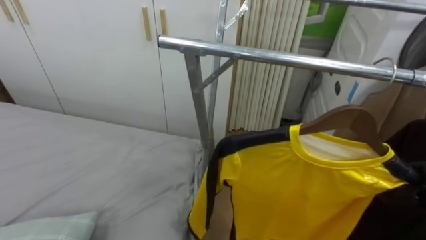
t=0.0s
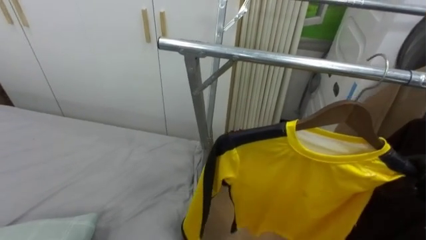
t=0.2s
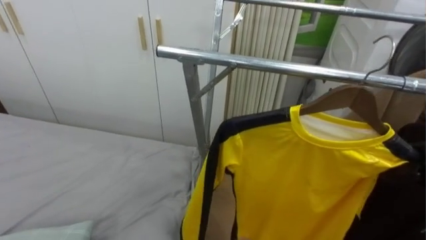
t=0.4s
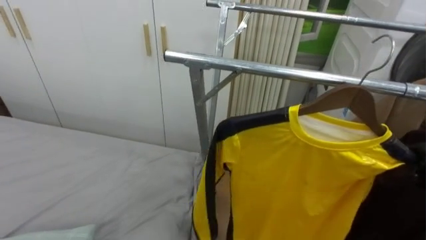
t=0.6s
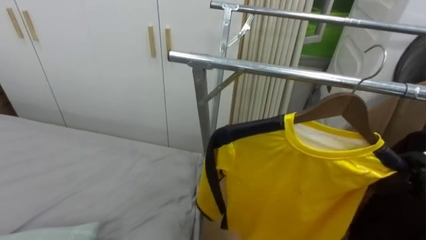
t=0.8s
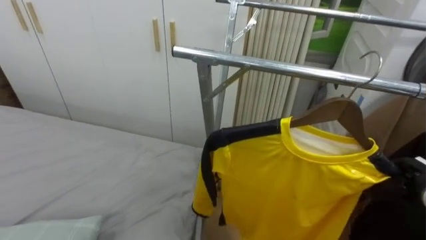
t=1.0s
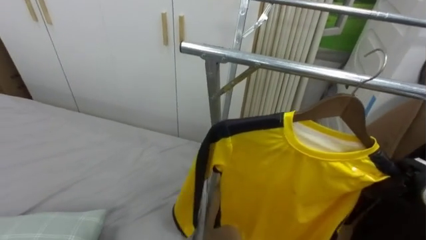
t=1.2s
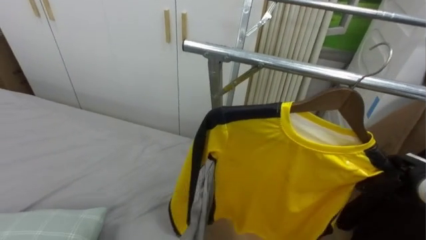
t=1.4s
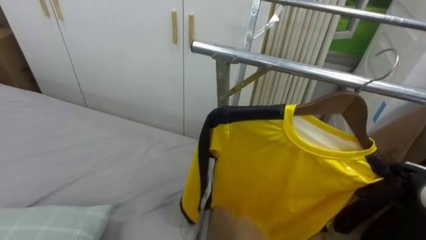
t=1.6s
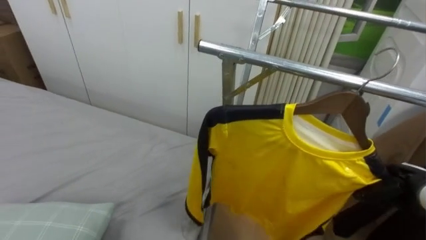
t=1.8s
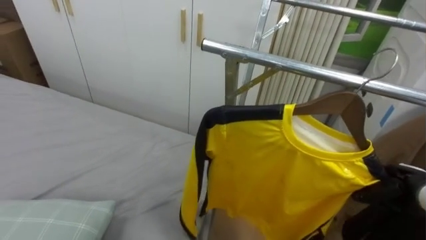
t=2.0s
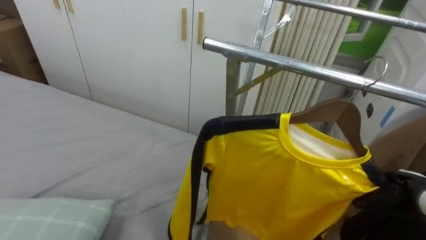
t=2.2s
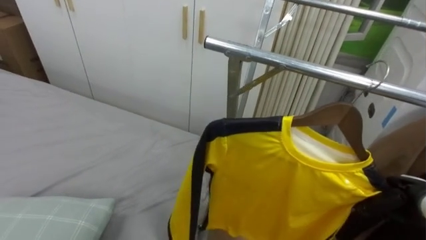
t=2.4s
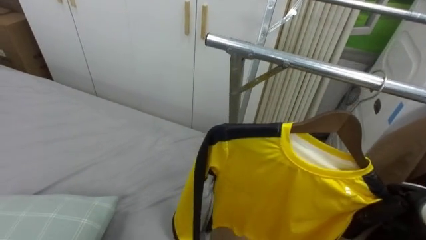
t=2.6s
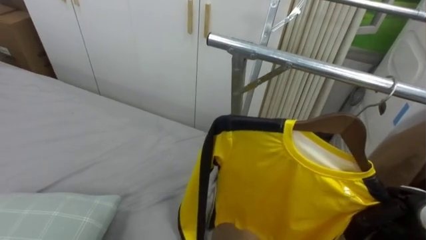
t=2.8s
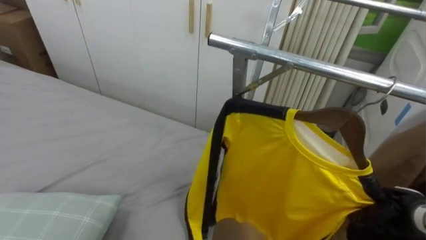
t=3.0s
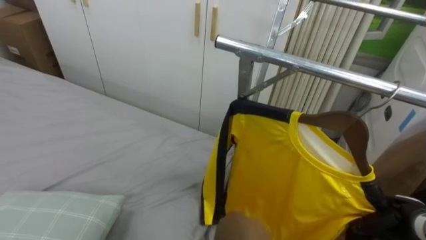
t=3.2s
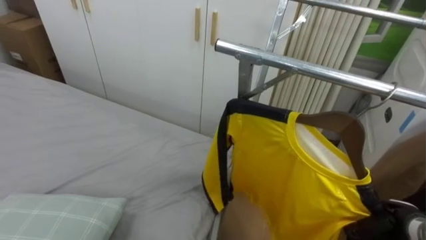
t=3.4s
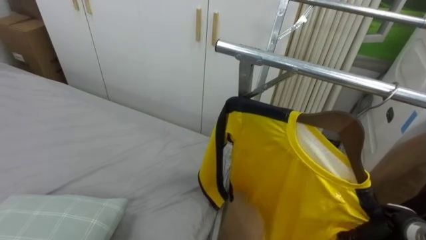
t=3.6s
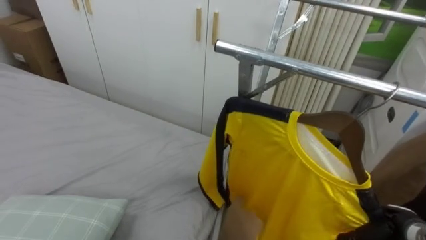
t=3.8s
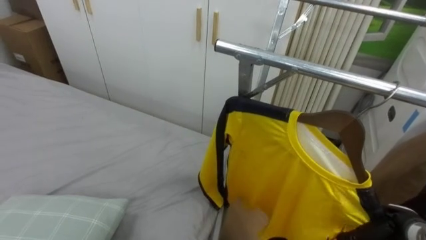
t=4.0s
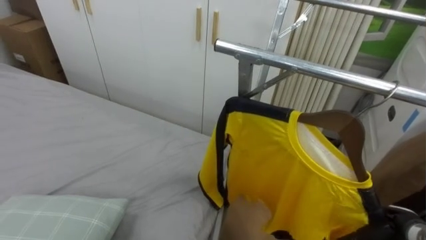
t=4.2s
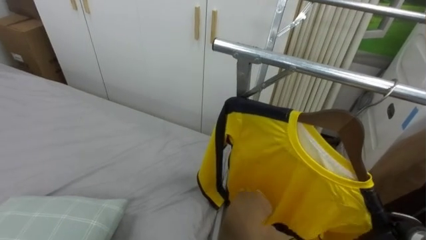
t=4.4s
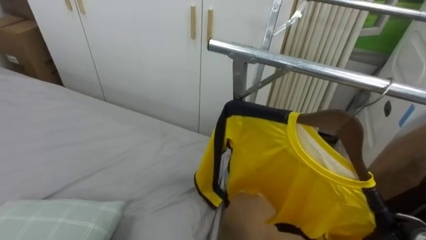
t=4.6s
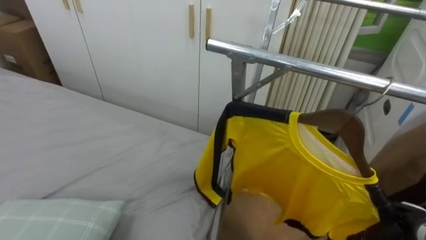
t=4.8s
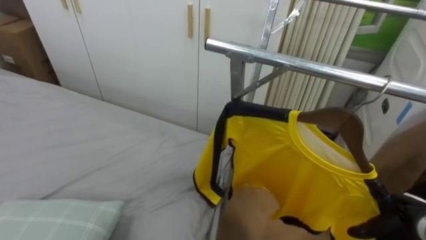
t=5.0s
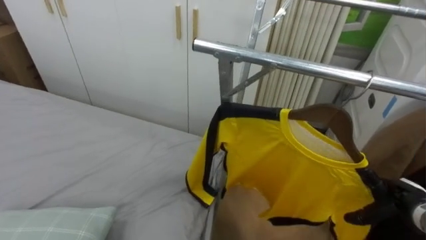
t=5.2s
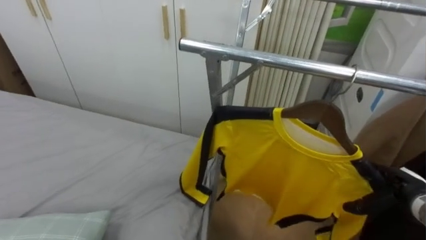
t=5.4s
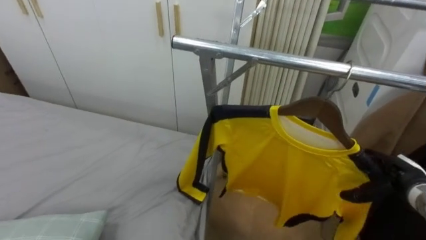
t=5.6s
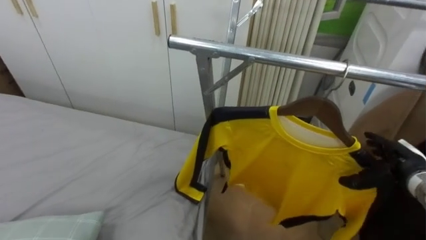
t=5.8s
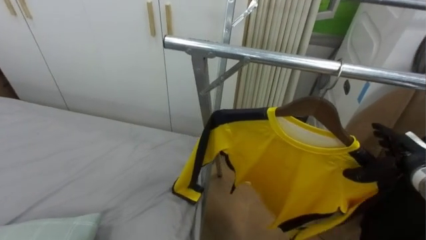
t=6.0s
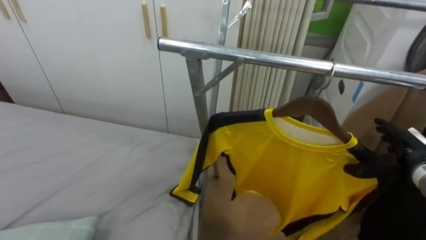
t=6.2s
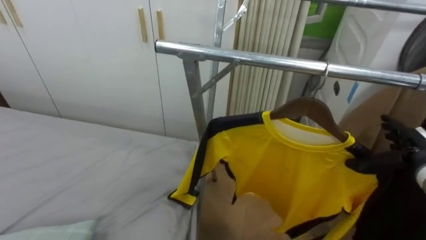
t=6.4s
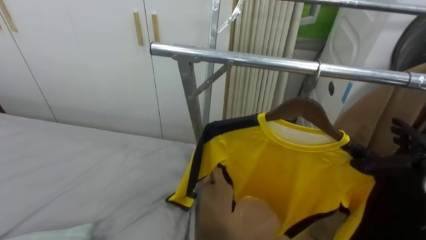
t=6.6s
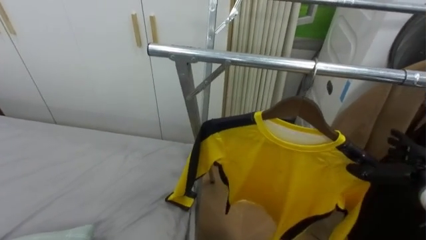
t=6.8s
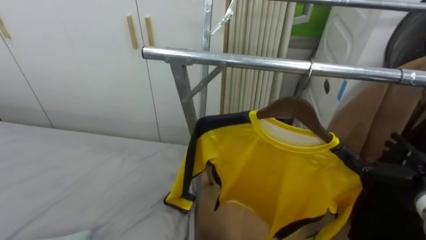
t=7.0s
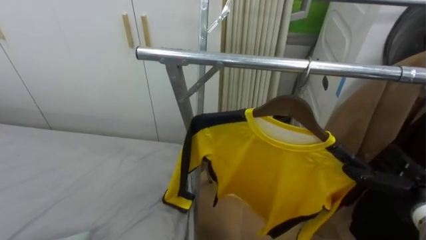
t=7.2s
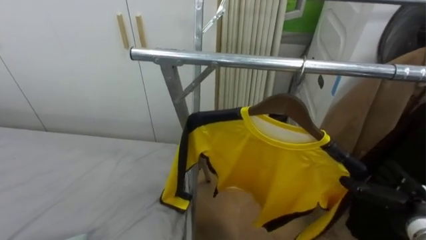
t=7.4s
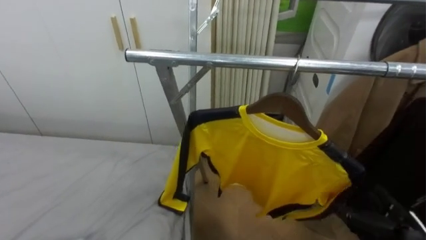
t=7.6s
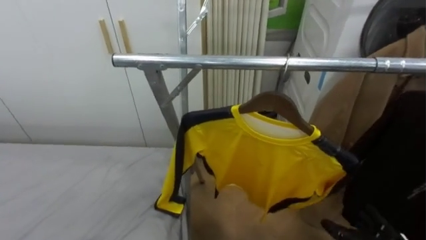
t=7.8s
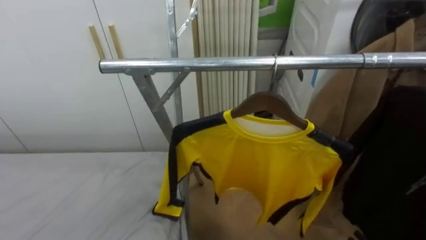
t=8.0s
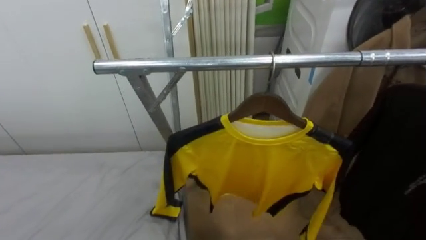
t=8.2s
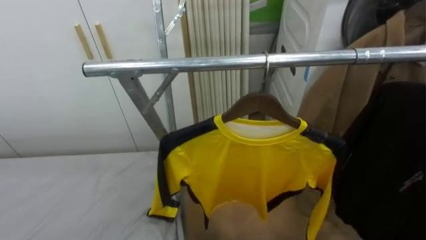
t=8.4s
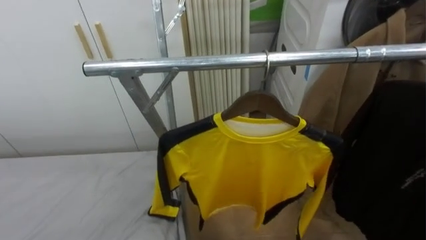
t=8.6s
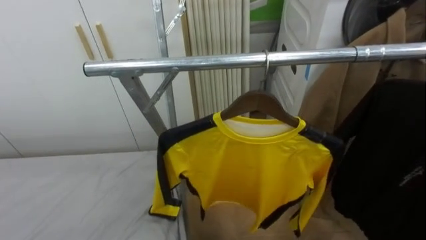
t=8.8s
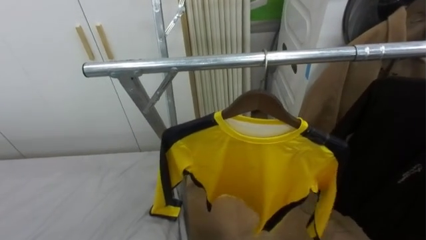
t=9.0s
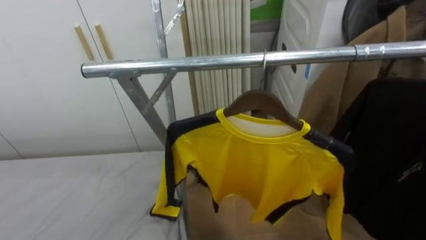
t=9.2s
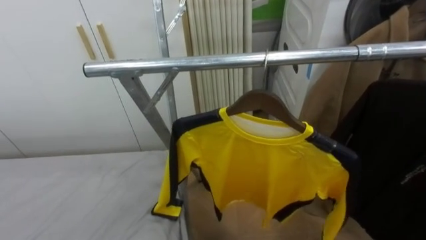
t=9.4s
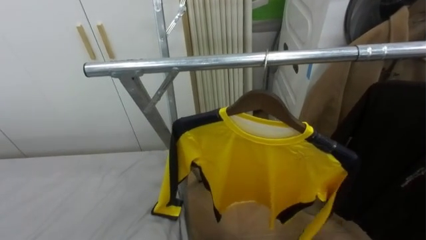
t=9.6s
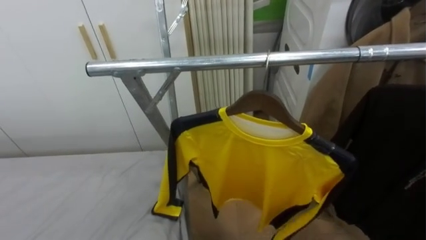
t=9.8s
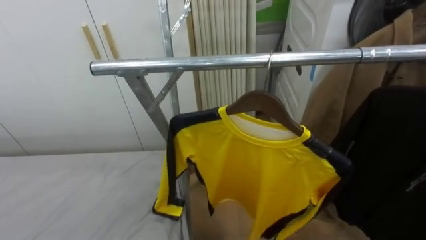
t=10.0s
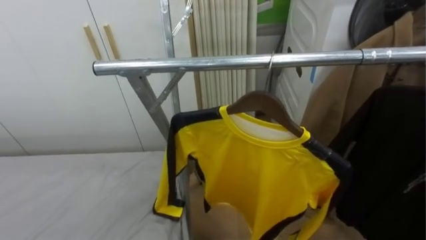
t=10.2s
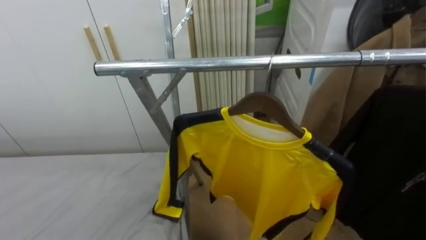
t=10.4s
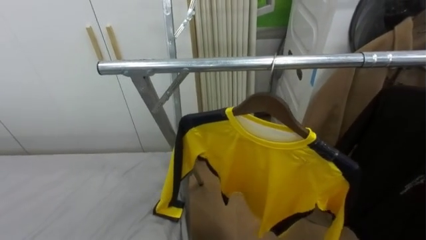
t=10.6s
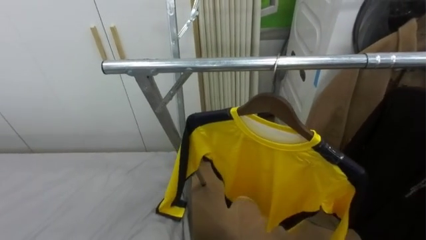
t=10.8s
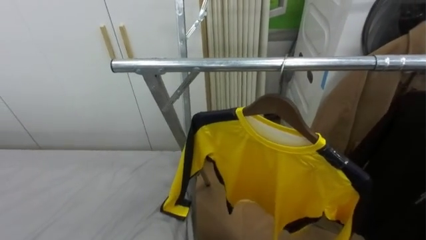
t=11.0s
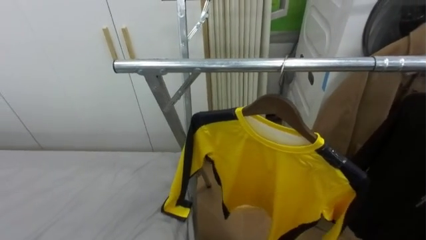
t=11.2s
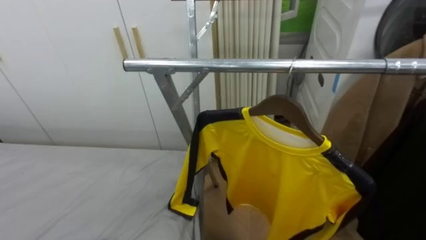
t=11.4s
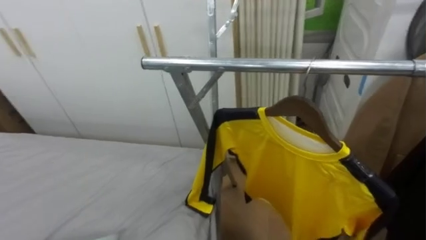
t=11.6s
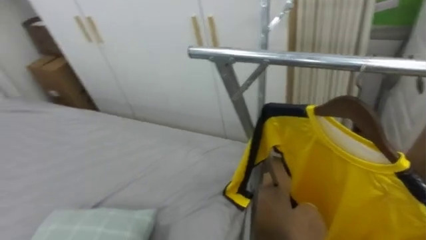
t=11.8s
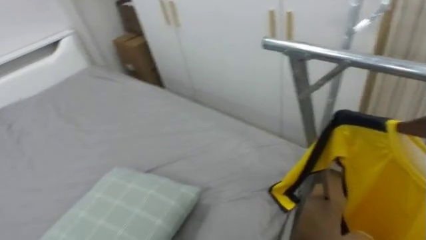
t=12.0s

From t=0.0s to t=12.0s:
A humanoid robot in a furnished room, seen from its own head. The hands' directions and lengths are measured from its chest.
Task of the whole recording: Pick up the yellow shirt on the bed and hang it on the clothes rack on the right.
From t=3.0s to t=4.4s: The right hand changes place by some 5 cm, and opens up.
From t=4.4s to t=6.0s: The right hand is displaced upward and forward by roughly 15 cm.
From t=6.0s to t=7.6s: The right hand shifts about 10 cm backward and downward.
From t=10.4s to t=12.0s: The robot faces approximately 35 degrees further to its left.

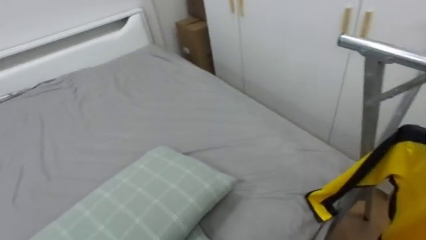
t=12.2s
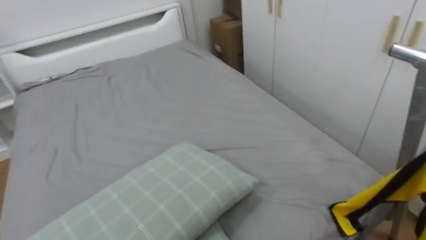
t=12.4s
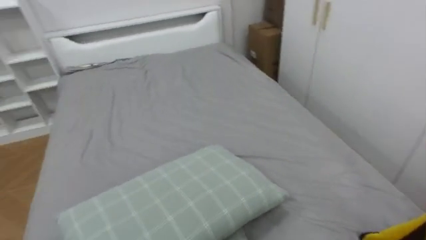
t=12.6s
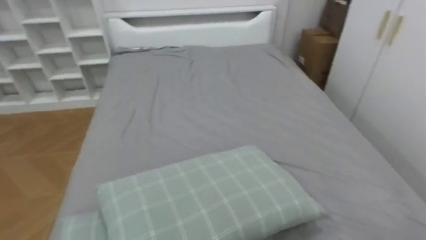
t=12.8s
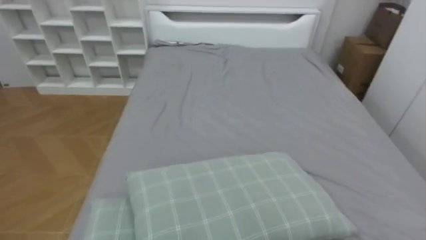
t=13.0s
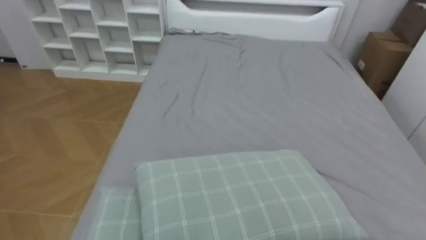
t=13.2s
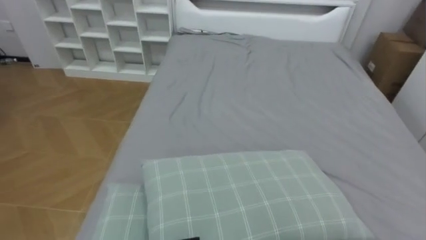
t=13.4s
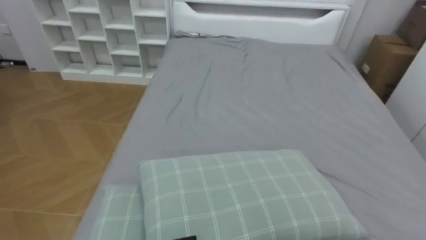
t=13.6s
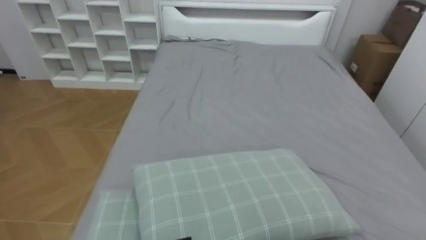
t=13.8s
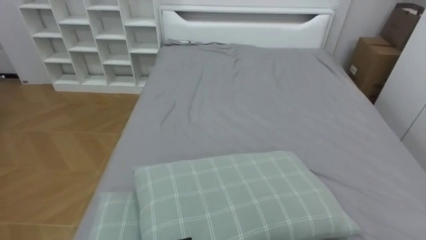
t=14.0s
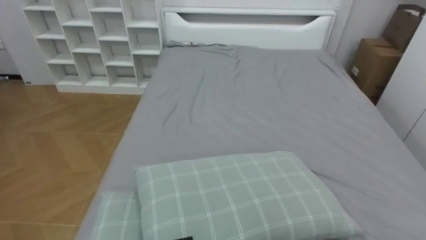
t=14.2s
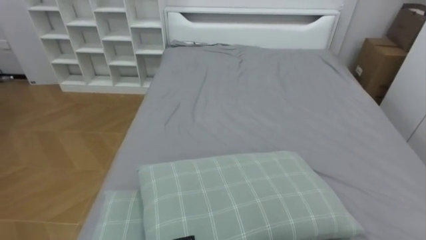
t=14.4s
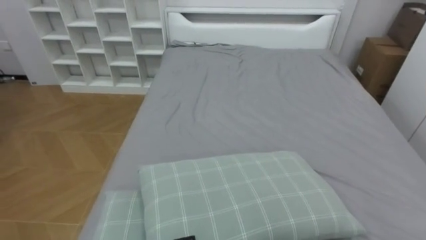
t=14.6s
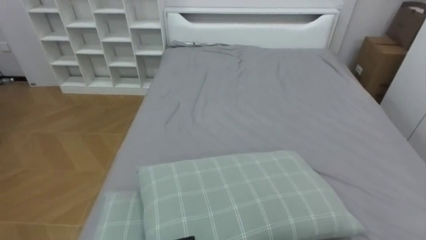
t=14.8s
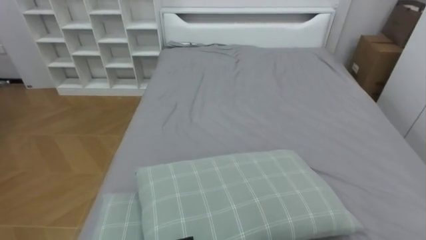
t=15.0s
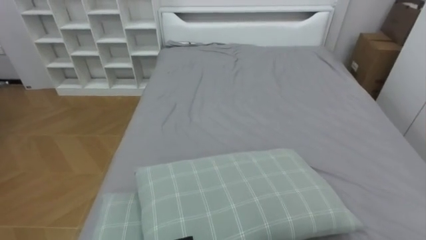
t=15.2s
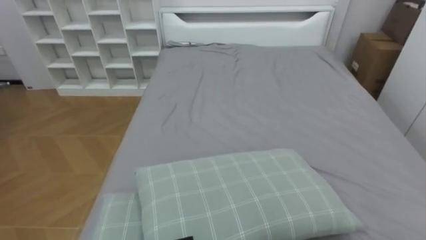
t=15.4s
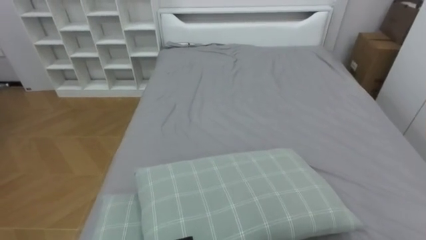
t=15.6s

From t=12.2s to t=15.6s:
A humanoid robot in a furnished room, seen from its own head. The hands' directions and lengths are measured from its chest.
Task of the whole recording: Pick up the yellow shirt on the bed and hang it on the clothes rack on the right.
From t=12.2s to t=13.8s: The robot turns to its left by approximately 40 degrees.

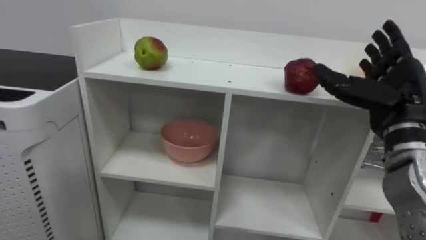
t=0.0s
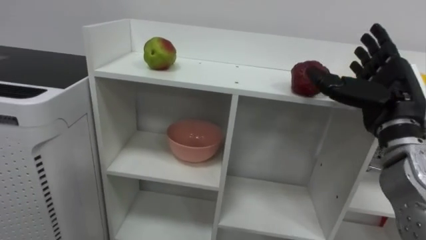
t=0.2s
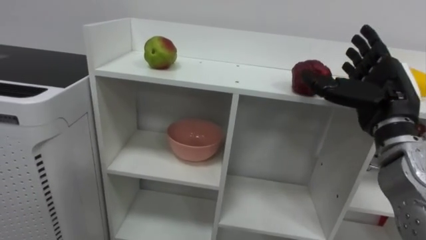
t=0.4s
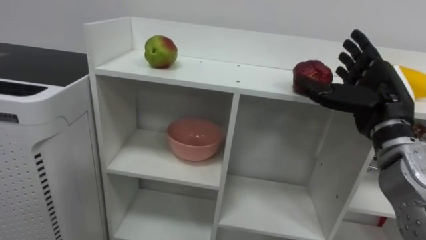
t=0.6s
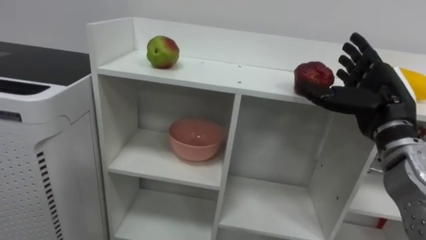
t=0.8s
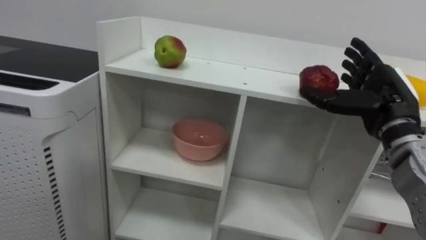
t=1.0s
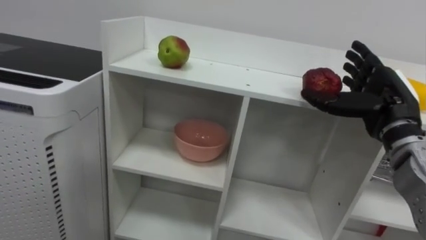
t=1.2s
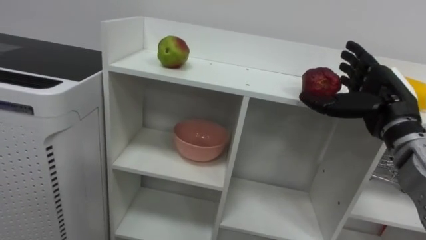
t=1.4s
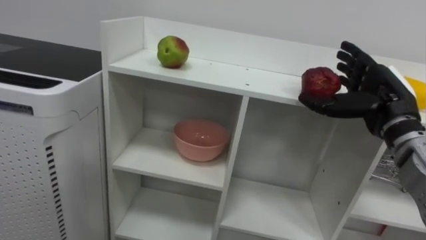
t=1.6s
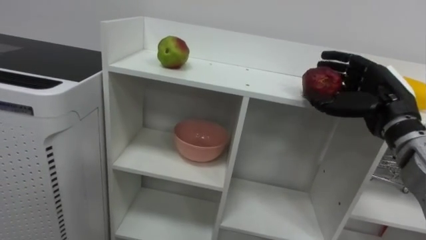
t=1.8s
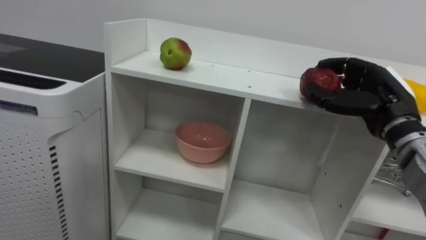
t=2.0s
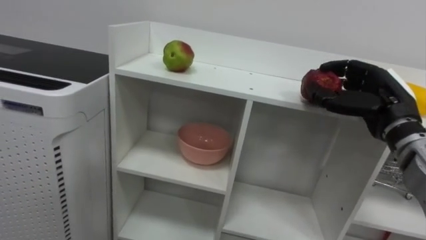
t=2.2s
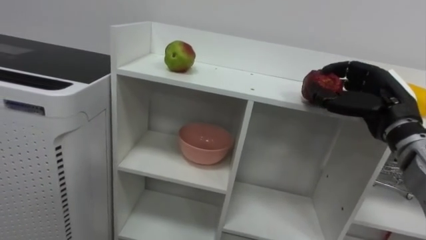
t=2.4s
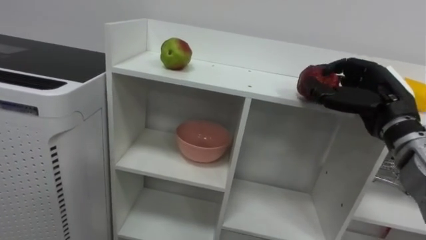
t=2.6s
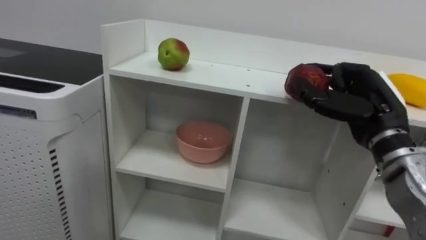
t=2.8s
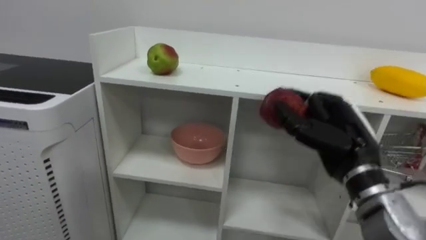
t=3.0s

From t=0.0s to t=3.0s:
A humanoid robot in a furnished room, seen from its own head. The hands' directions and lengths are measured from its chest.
Task of the whole recording: Put the apple in the cell in the second column from the left and the second row from the top.
From t=1.6s to t=3.0s: The right hand goes some 5 cm to the left, and closes its fingers.
